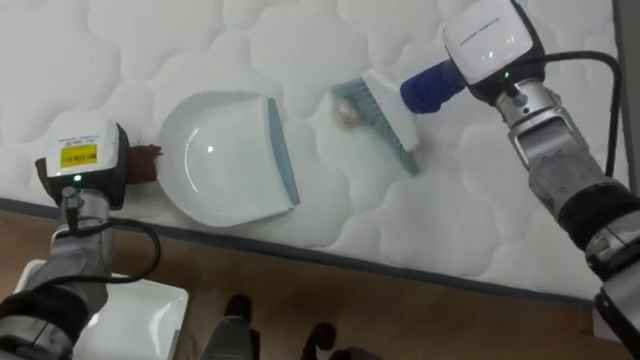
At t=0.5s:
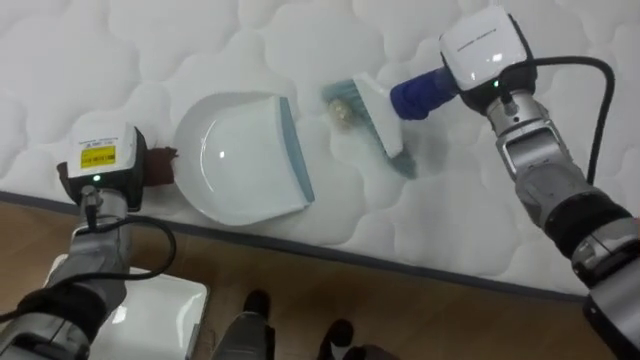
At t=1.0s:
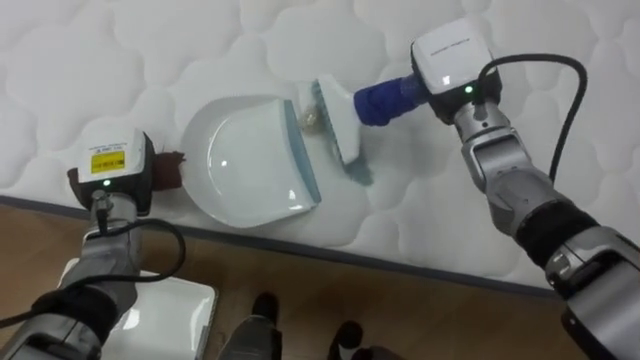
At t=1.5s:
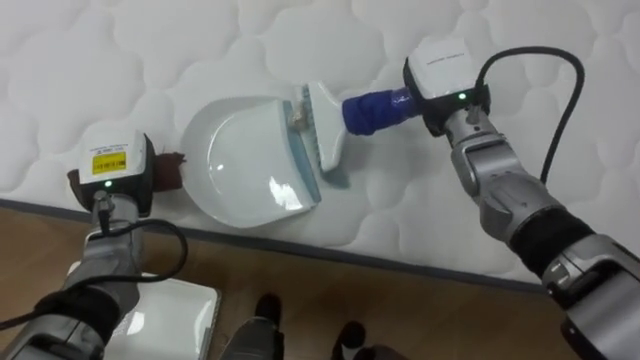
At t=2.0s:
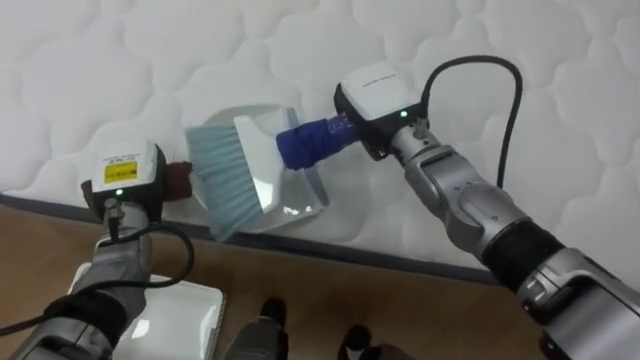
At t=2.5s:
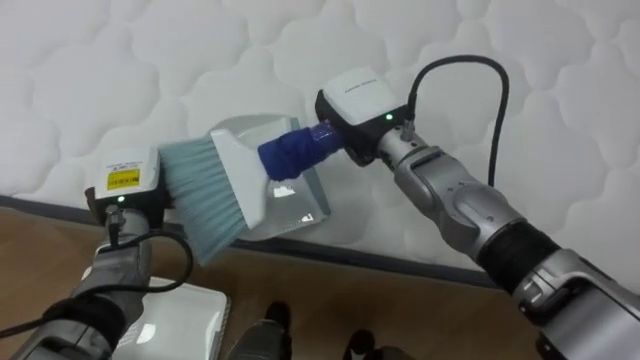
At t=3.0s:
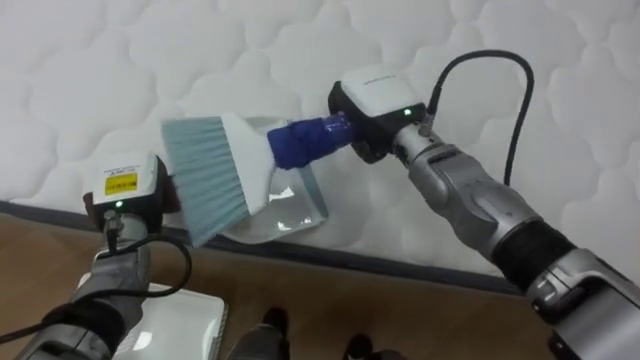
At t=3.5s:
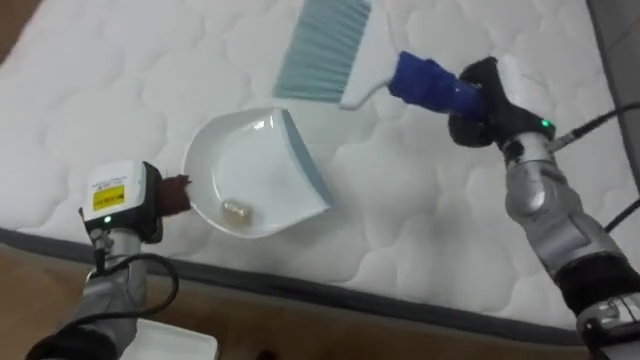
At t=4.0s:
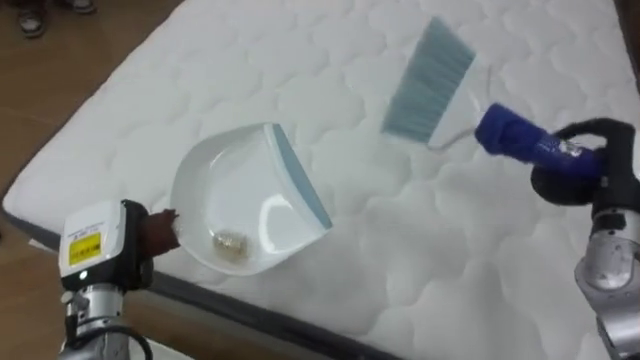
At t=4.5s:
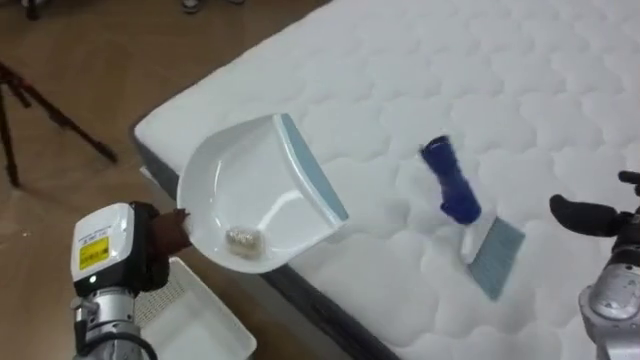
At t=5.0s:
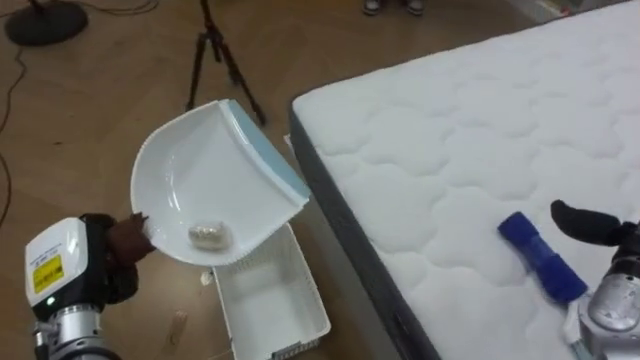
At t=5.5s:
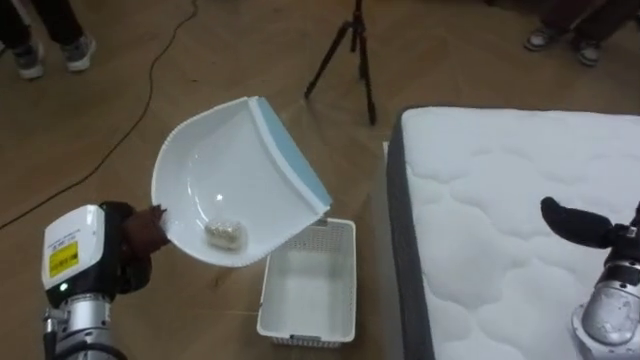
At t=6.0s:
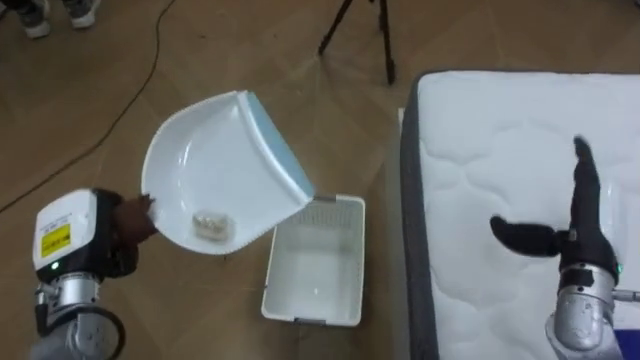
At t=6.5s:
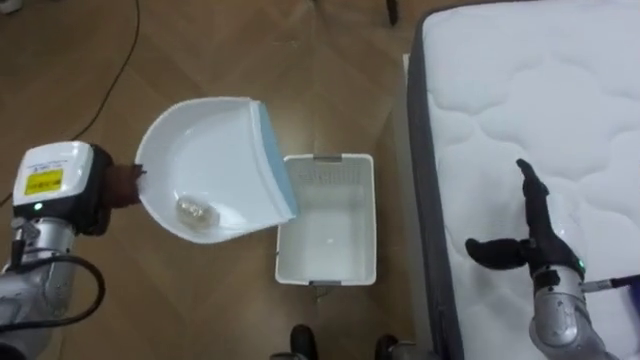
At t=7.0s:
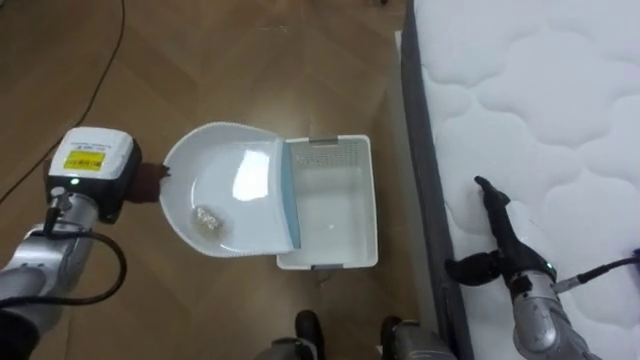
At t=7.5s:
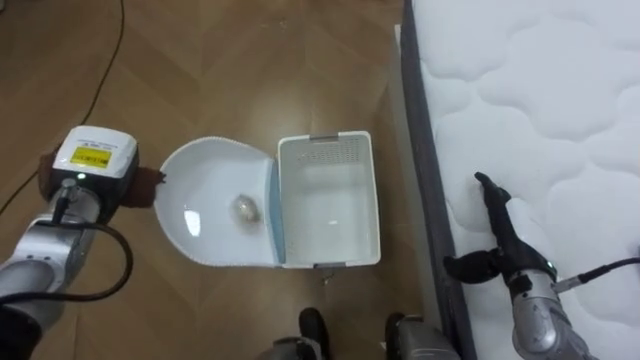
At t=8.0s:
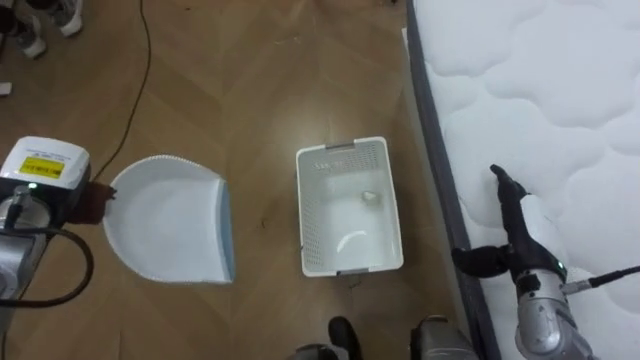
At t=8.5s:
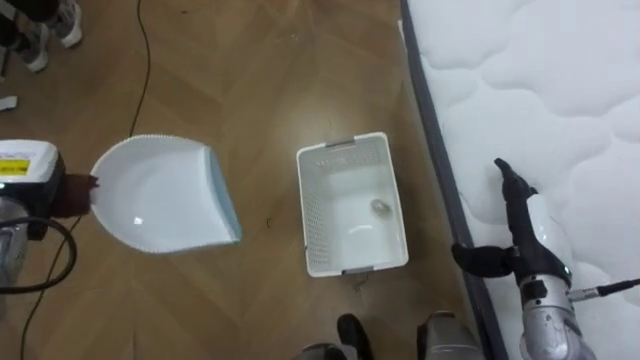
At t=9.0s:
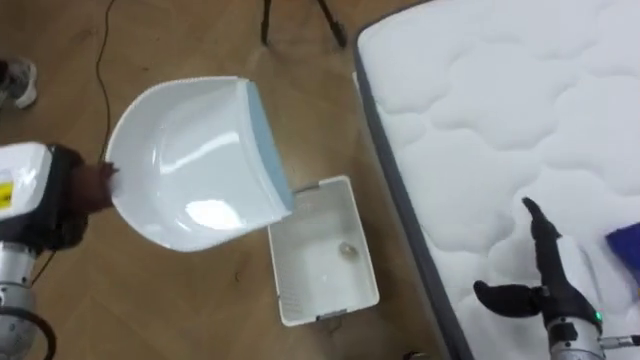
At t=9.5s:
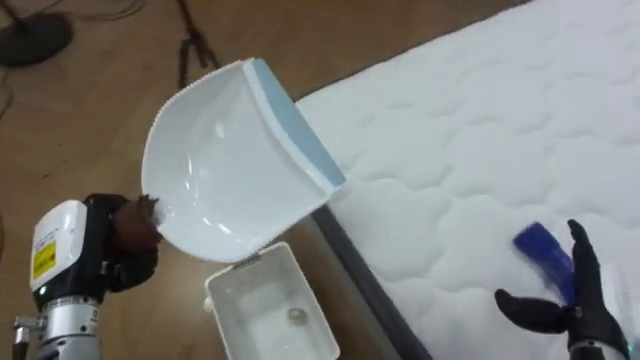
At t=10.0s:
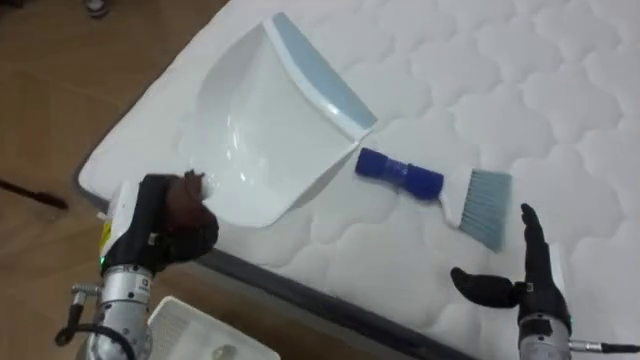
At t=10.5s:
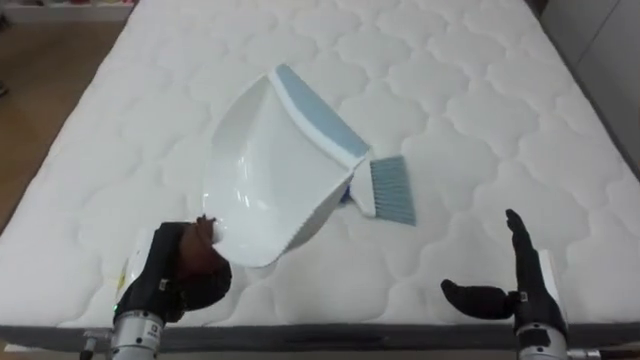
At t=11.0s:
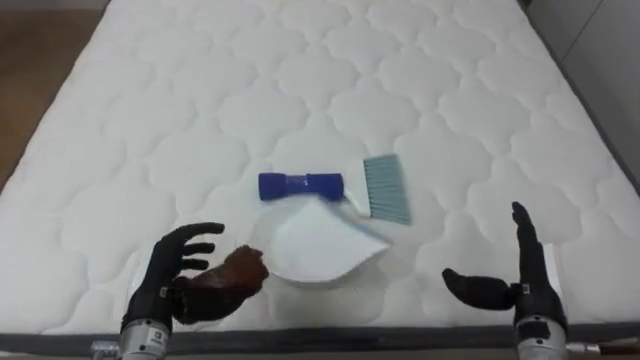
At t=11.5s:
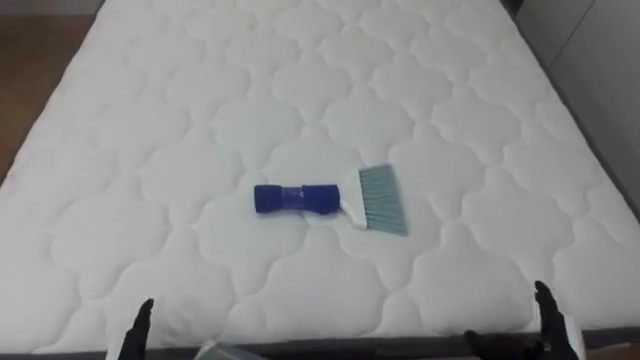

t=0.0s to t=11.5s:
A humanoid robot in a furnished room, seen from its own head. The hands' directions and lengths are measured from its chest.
Task of the whole recording: Pick up the brush on your right and the dustpan on your left. Use the brush to sweep the crumpled paper on the bed into the dustpan, then turn left and empty it into the basket.
t=0.0s to t=2.0s: The right hand is displaced to the left and downward by approximately 15 cm. Meanwhile the left hand changes place by approximately 5 cm.
t=2.0s to t=4.0s: The right hand moves to the right, about 30 cm. The left hand moves backward, approximately 10 cm.
t=4.0s to t=6.0s: The robot turns to its left by approximately 75 degrees.
t=6.0s to t=7.5s: The right hand is displaced to the left by roughly 5 cm; the left hand heads forward, covering roughly 10 cm.
t=7.5s to t=9.5s: The robot's body swings about 30 degrees to its right. The right hand goes about 10 cm backward and to the right. The left hand heads backward, covering roughly 10 cm.
t=9.5s to t=11.5s: The robot turns to its right by approximately 65 degrees. The right hand shifts some 10 cm downward.

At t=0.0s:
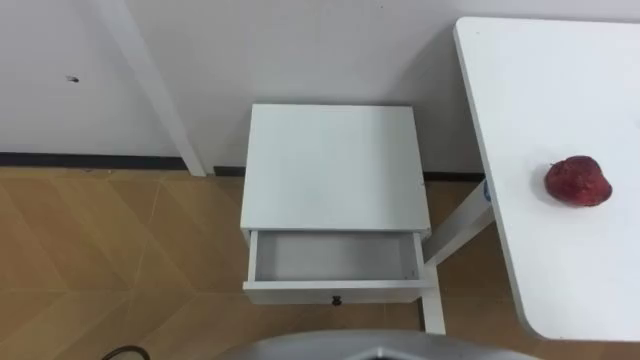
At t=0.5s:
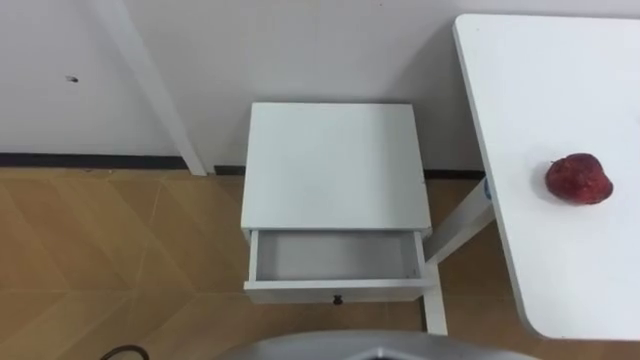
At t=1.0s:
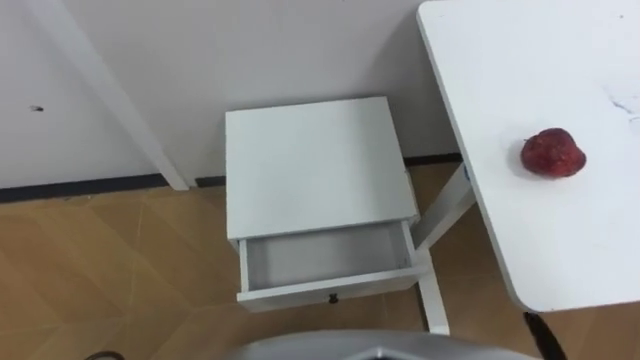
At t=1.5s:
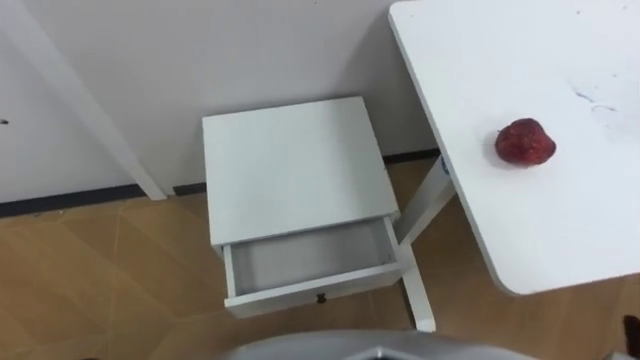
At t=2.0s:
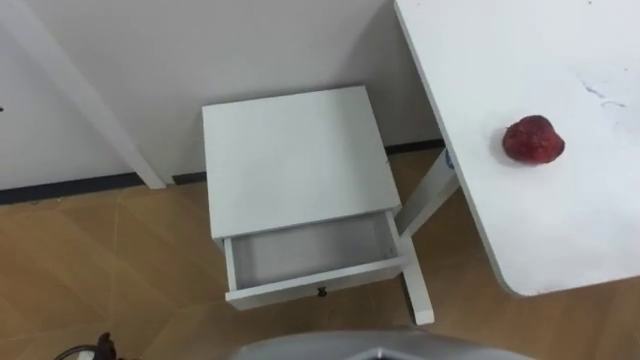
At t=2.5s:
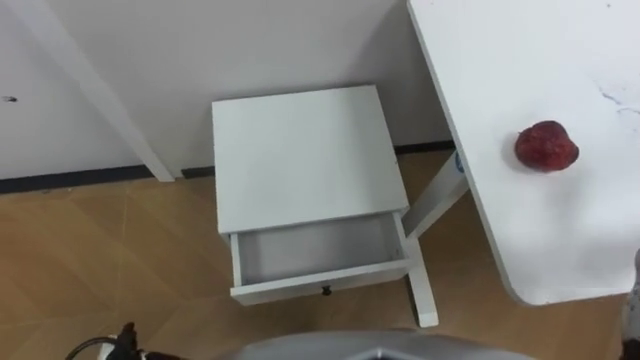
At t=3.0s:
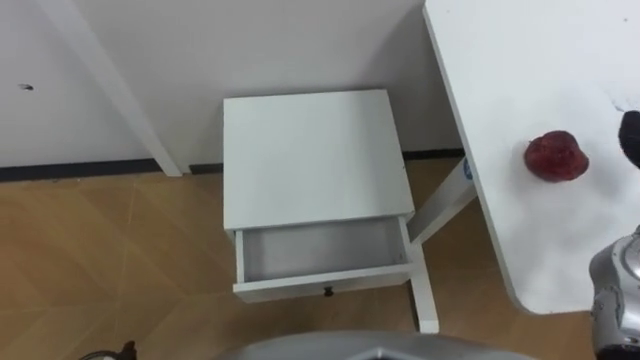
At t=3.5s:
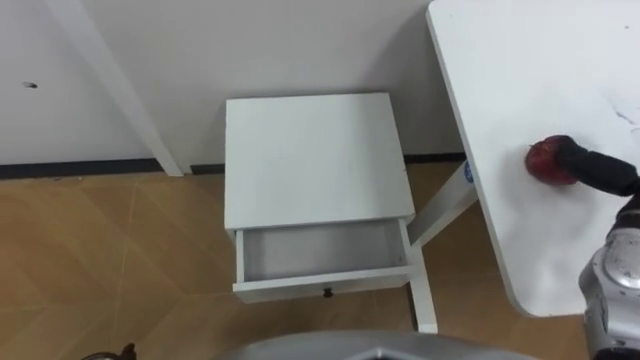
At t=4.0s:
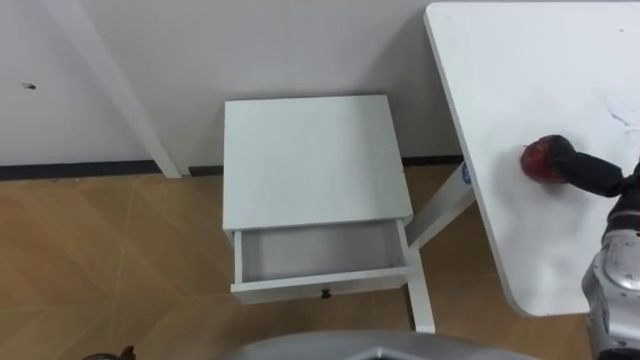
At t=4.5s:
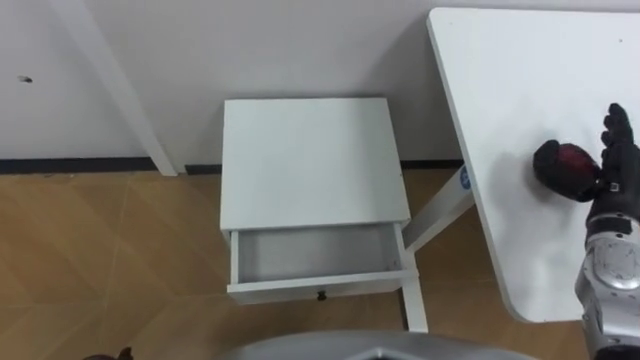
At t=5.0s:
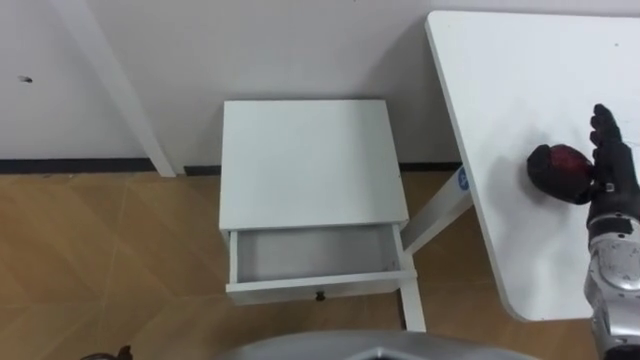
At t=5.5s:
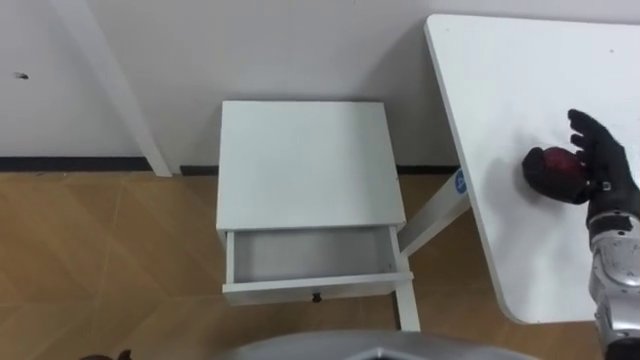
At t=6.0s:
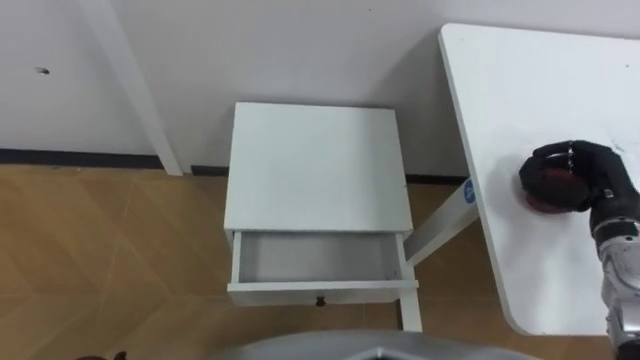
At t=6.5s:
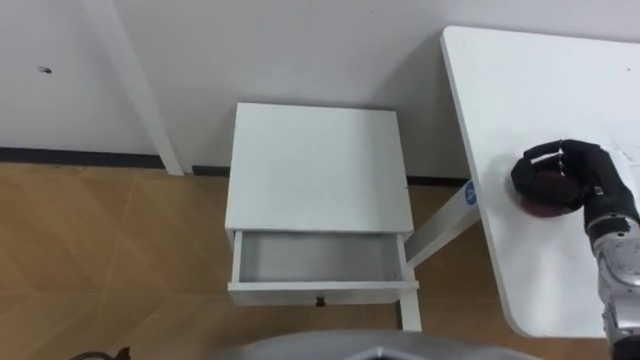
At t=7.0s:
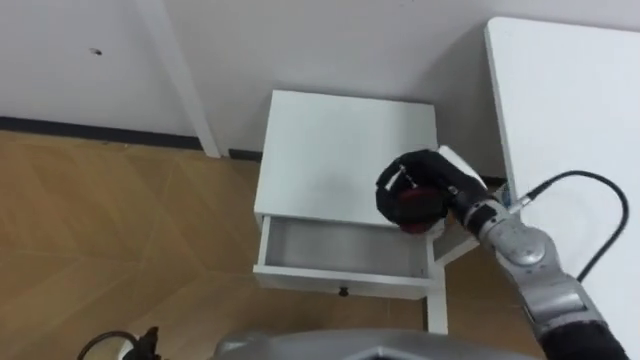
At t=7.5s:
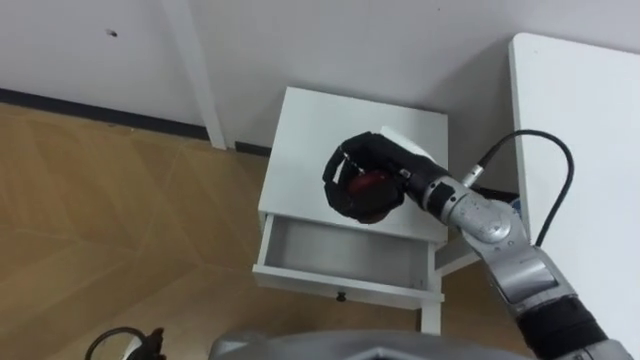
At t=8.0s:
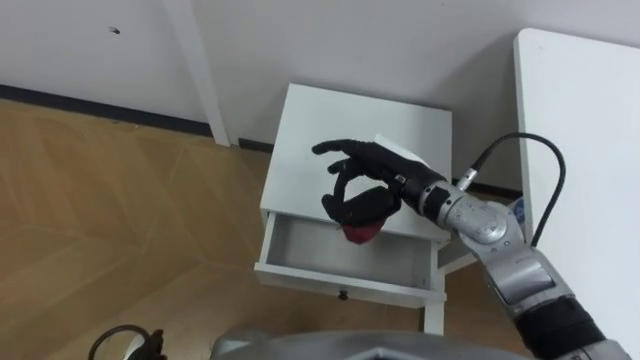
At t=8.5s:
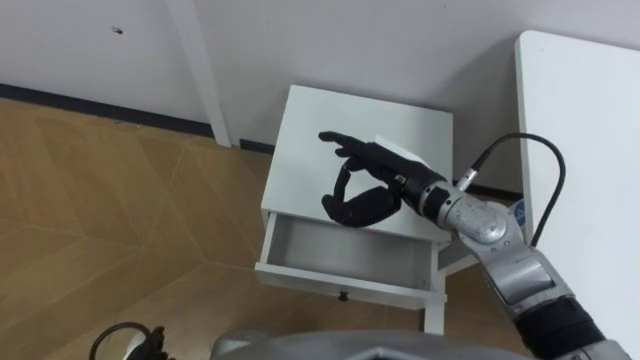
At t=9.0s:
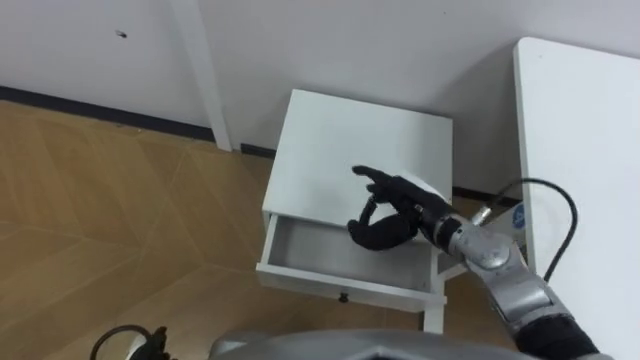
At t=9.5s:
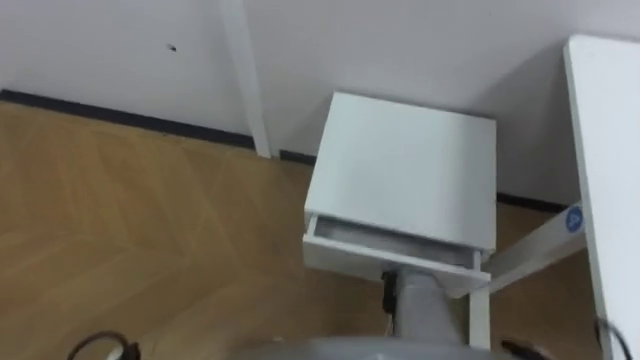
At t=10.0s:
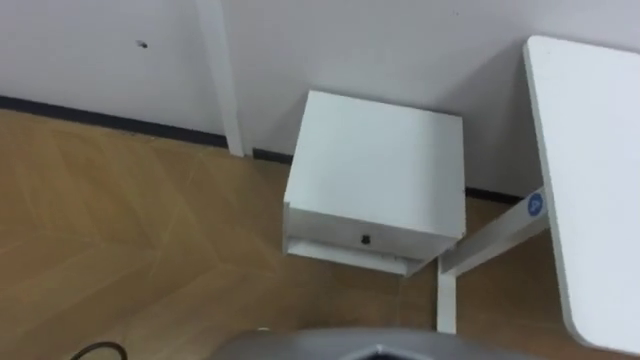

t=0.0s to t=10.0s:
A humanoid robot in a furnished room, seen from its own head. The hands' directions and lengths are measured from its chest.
Task of the whole recording: Pick up the apple from the table, put it in the drawer, and close the drawer with leg.
t=4.0s to t=6.0s: The right hand moves downward, roughly 5 cm, and closes.
t=6.0s to t=8.0s: The right hand heads to the left, covering some 25 cm, and opens.
